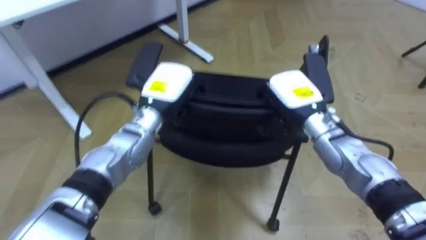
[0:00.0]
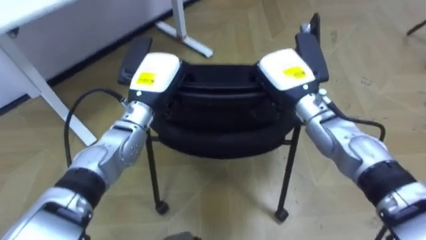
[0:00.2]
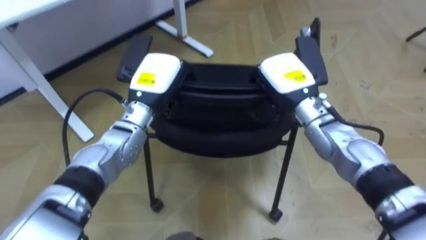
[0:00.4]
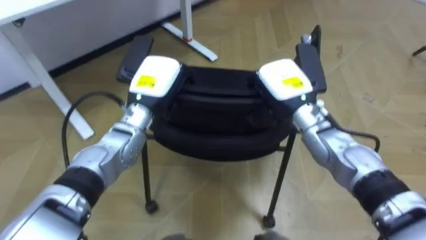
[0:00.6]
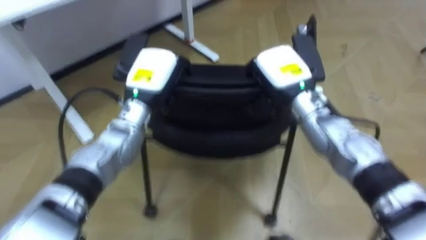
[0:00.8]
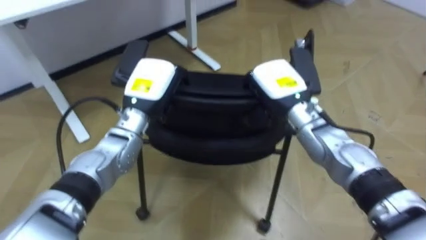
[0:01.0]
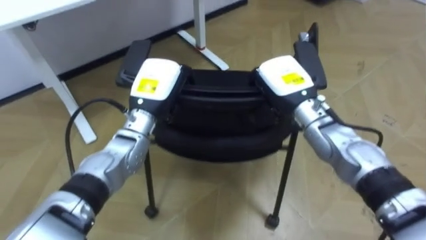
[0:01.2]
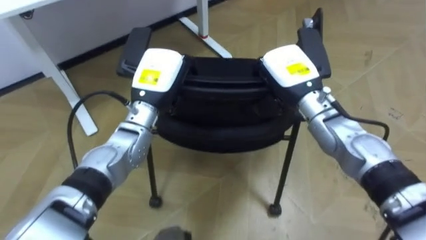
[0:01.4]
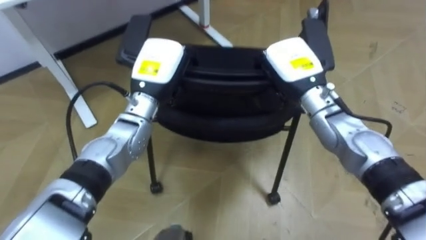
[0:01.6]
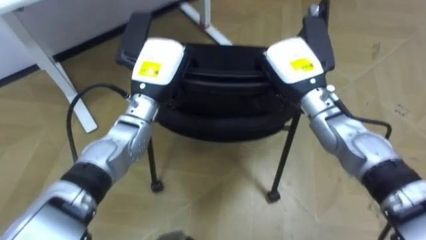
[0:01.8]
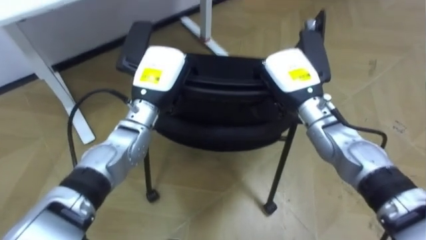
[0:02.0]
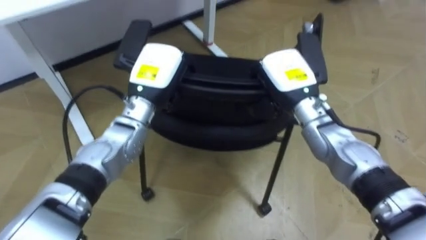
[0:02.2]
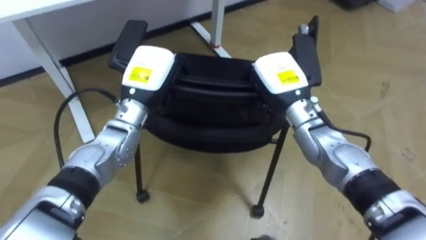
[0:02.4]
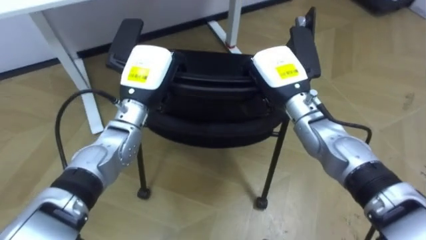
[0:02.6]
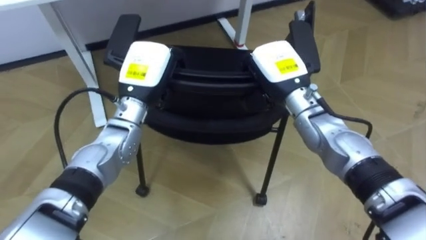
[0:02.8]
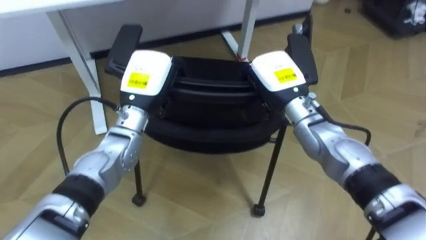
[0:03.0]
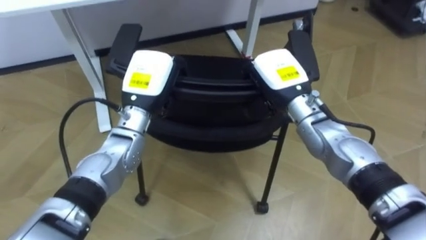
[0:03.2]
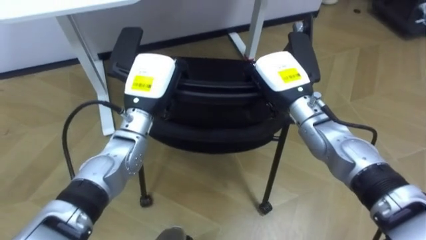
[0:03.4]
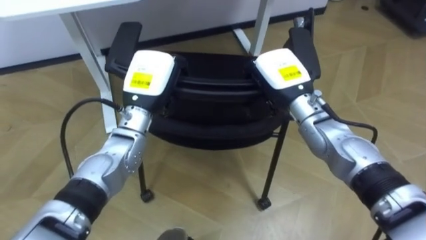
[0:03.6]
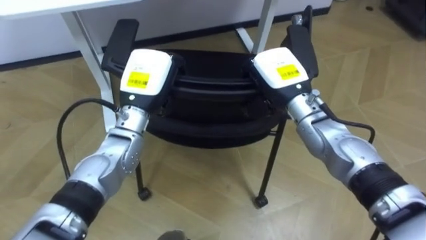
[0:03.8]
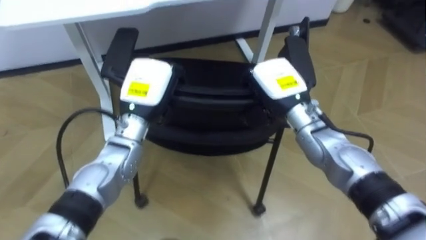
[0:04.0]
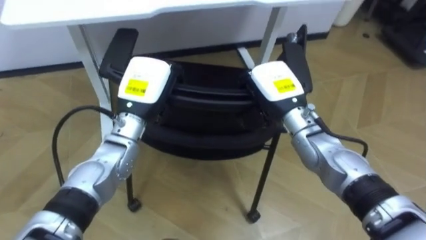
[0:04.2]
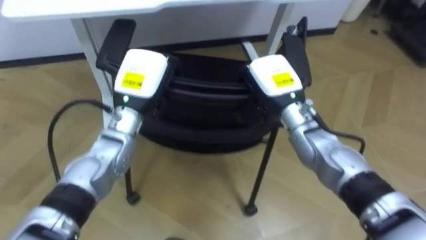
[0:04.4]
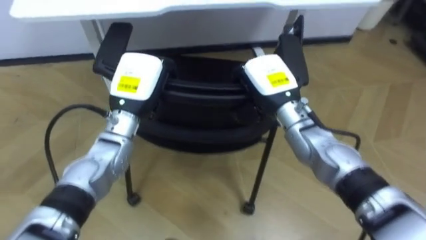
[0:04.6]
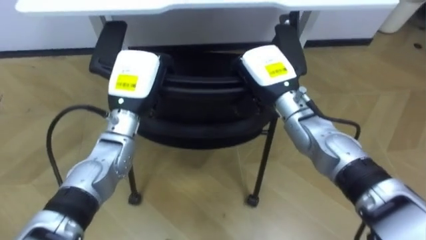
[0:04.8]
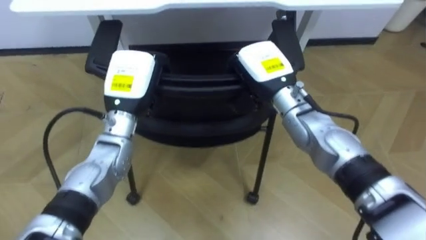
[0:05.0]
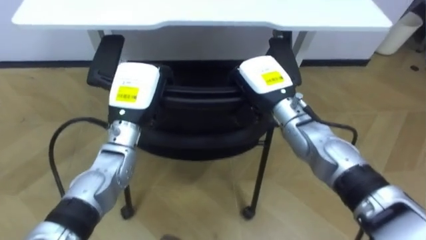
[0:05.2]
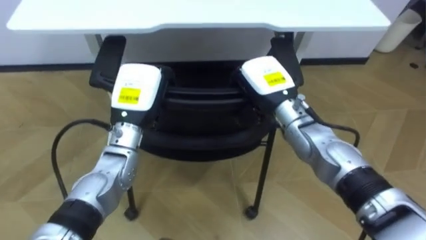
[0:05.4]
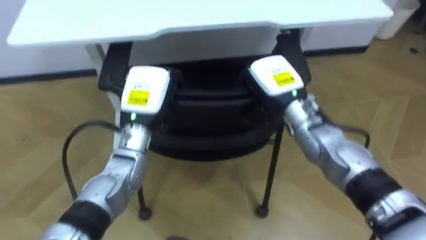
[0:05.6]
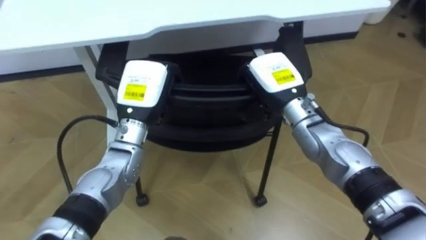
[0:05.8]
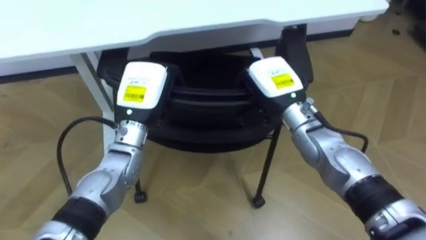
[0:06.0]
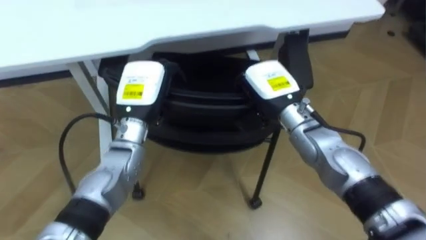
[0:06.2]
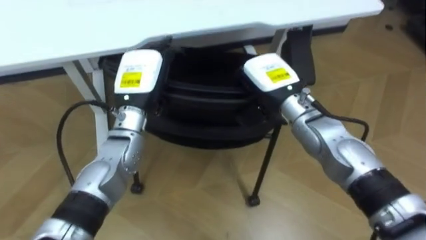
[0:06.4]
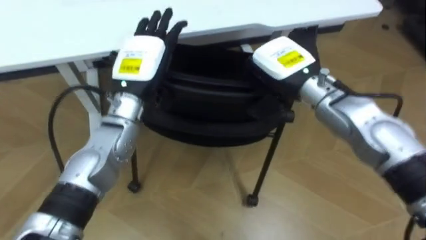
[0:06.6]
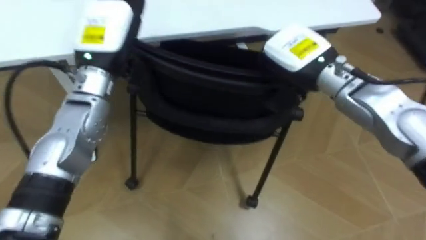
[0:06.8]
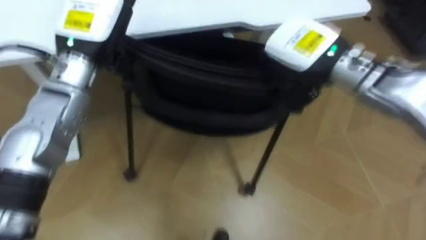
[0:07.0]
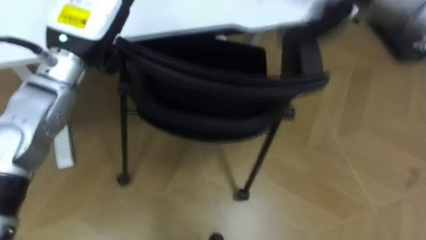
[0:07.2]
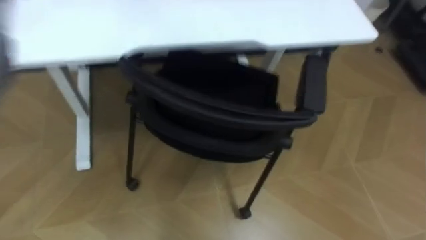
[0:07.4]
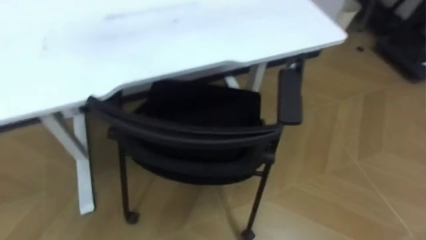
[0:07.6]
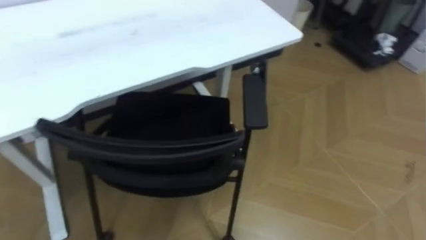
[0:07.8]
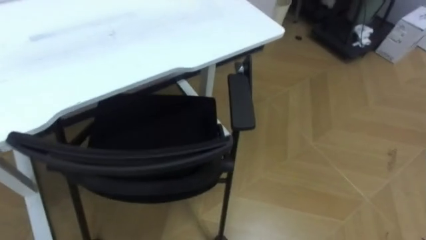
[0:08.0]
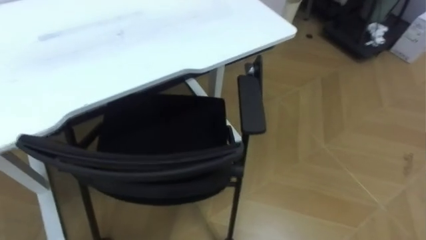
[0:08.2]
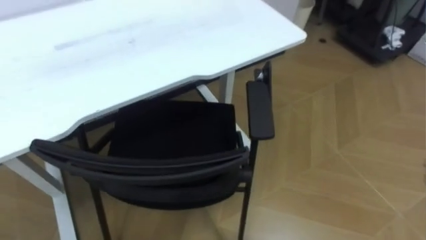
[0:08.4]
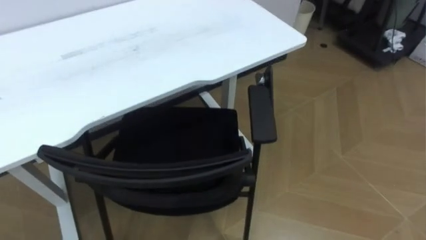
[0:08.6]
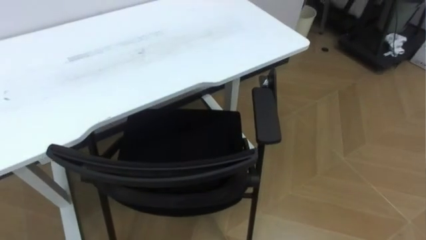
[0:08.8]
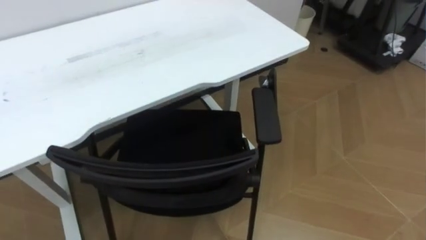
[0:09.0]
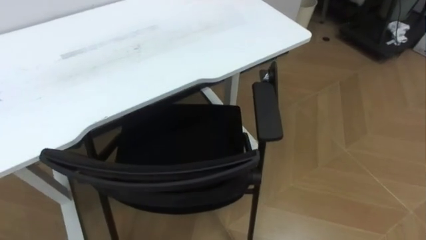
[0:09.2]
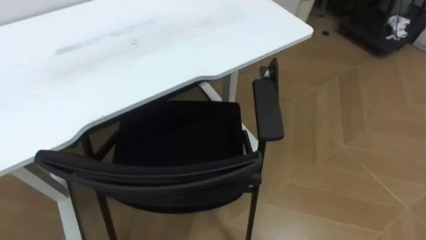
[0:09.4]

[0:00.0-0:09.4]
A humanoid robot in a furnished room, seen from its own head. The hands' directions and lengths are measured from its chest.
Task of the whole recording: Push the chair under the table.
0:00.0 to 0:01.6: The right hand is displaced upward by some 5 cm.
0:04.8 to 0:06.2: The left hand opens its fingers.

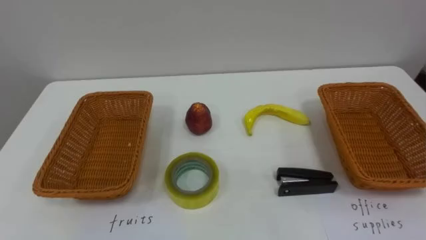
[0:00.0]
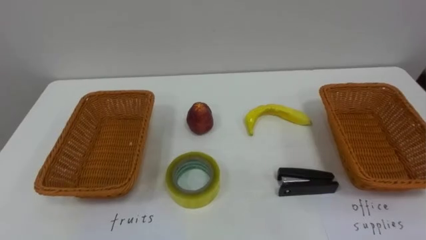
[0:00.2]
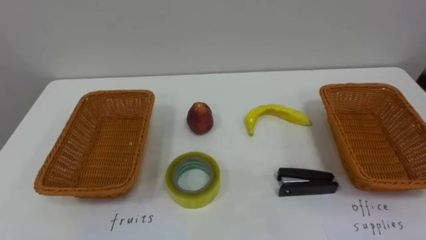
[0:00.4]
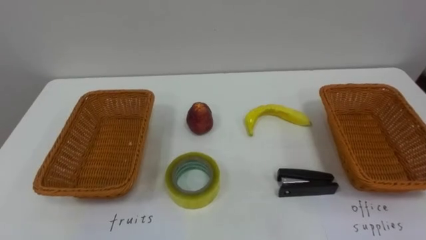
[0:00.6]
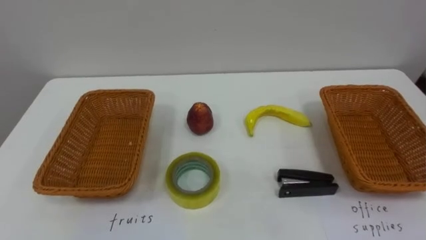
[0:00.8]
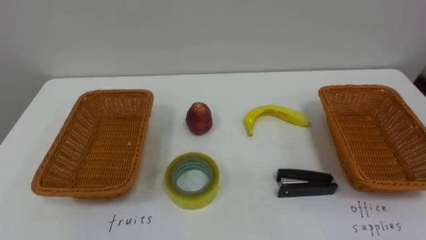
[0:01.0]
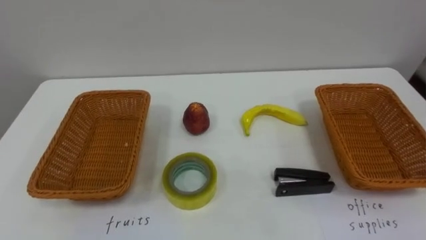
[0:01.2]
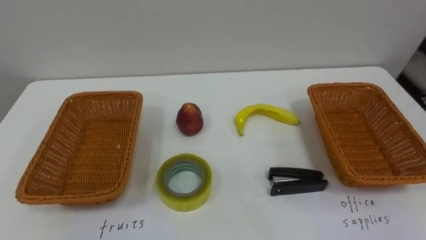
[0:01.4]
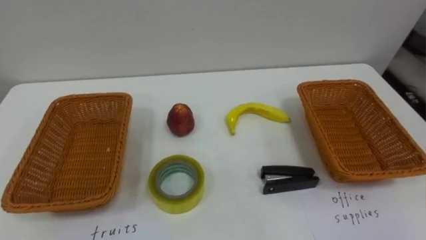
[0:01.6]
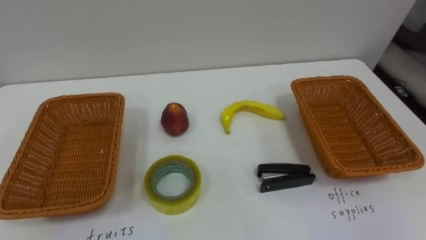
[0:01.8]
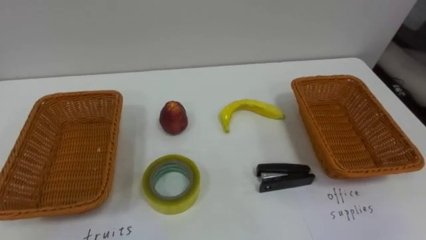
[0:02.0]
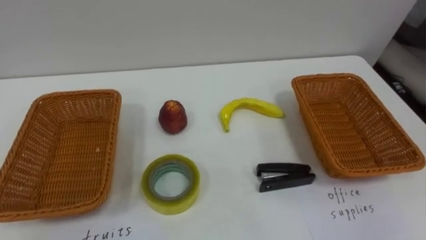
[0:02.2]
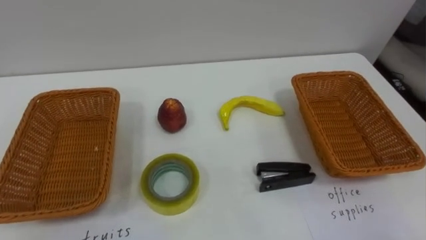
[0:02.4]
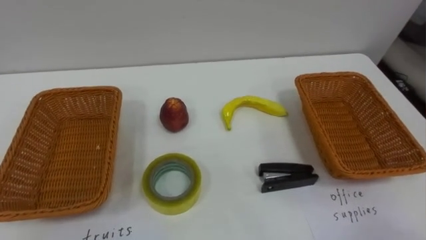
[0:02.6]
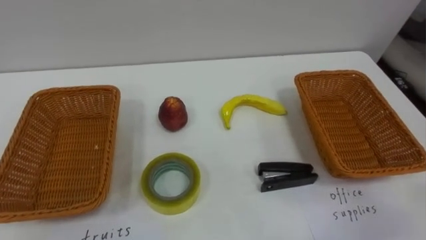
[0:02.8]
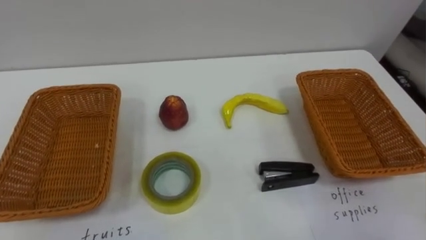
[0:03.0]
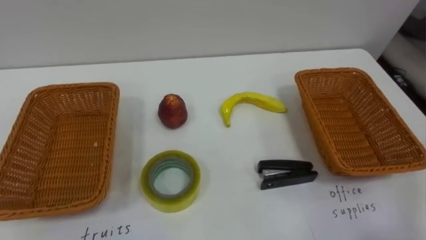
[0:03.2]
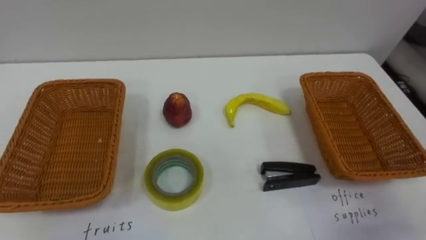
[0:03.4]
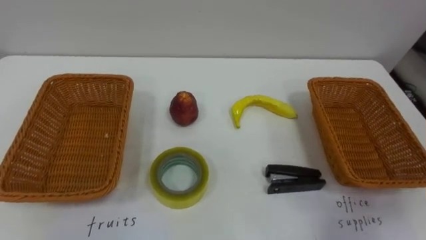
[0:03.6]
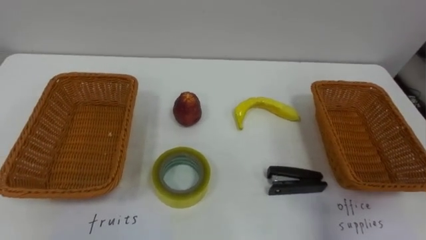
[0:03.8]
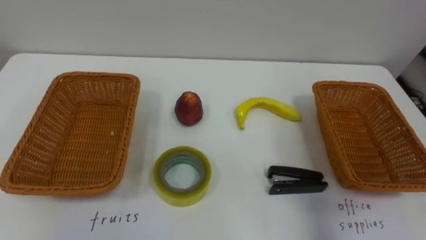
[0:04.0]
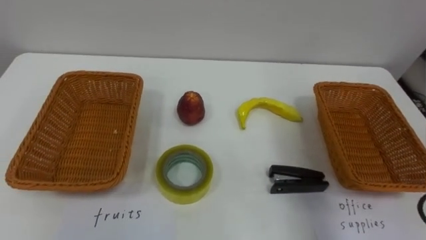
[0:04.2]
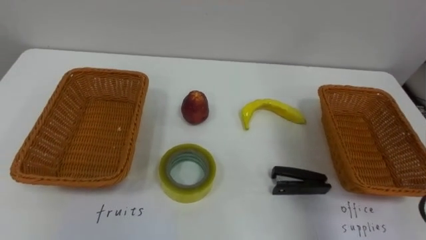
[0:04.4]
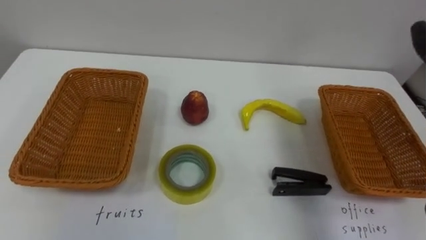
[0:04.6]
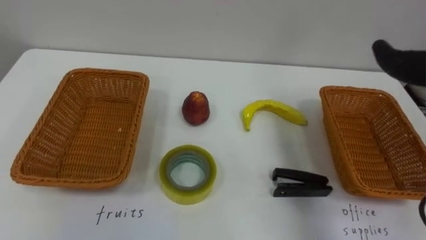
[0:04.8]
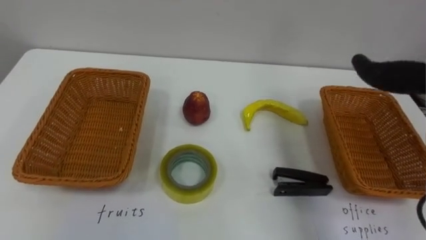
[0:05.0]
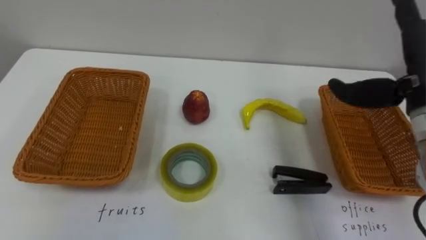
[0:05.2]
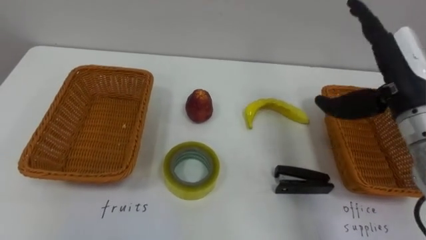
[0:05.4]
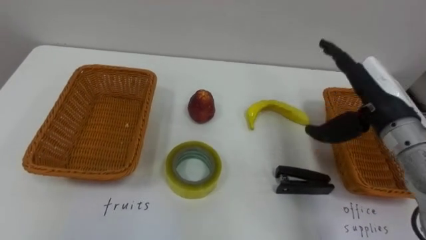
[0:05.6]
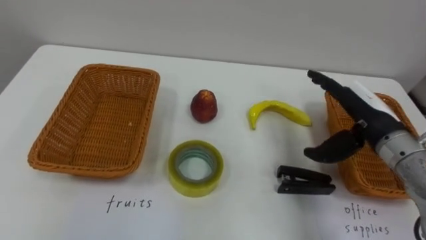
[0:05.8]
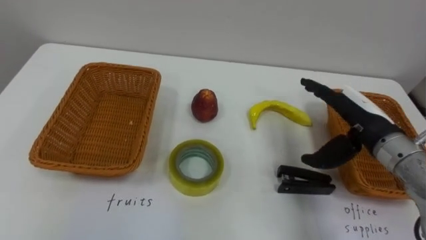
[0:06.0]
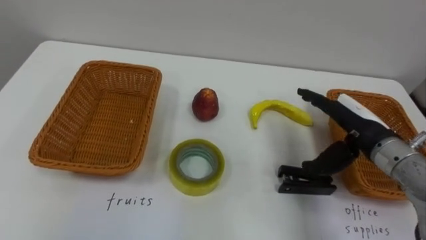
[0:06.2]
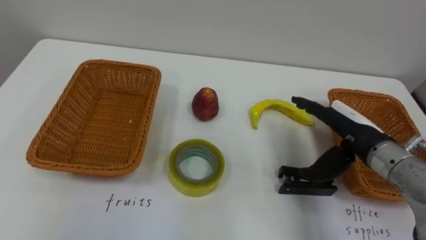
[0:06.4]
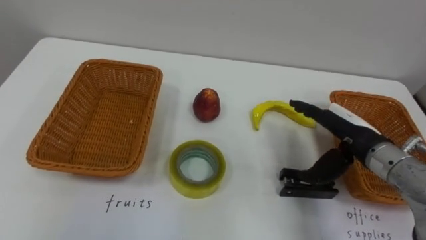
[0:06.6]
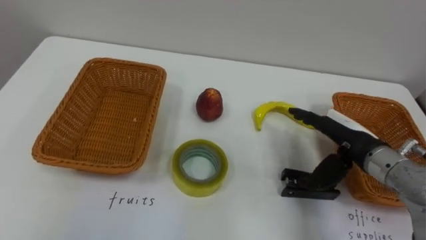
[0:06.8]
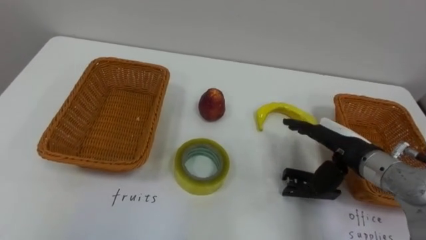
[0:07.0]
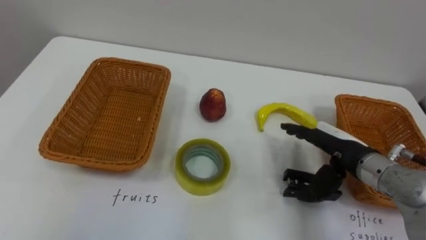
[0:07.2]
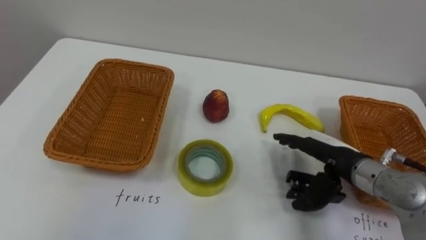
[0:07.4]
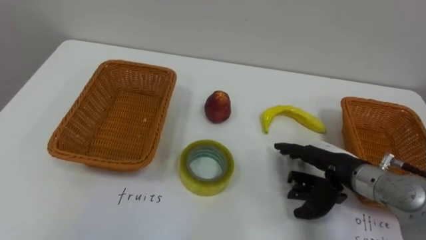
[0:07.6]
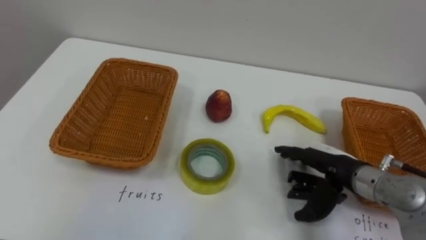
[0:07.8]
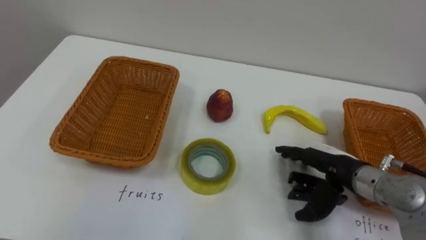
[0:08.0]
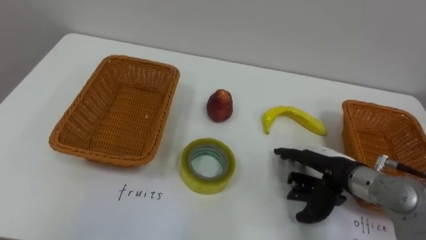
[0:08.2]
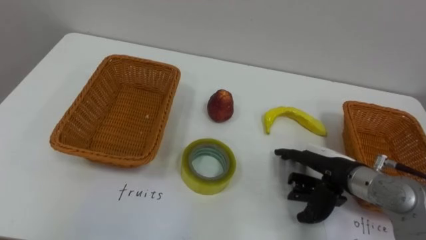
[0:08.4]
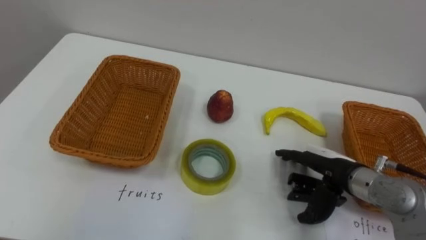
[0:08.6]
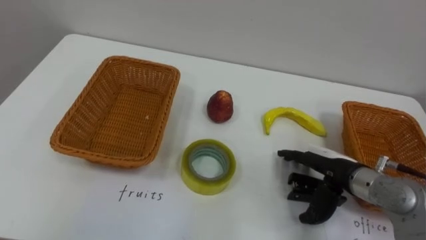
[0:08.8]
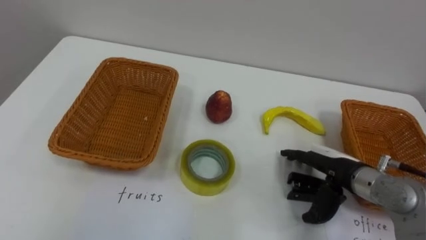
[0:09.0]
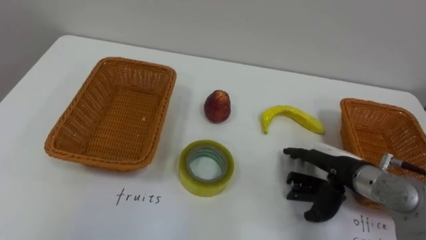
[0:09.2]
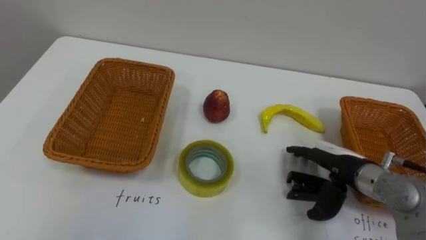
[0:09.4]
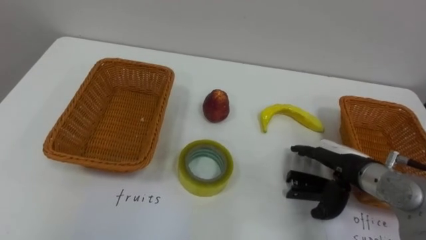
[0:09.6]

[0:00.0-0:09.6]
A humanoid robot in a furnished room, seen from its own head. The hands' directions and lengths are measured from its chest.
Task of the whole recording: Separate the items on the table and place them into the two baskets.
0:06.4 to 0:08.0: The right hand goes roughly 5 cm downward.
